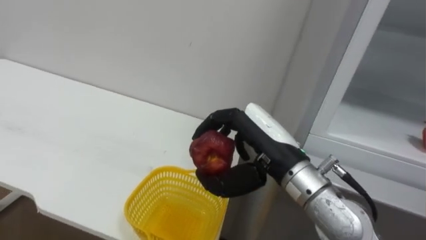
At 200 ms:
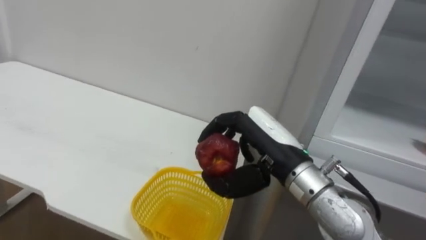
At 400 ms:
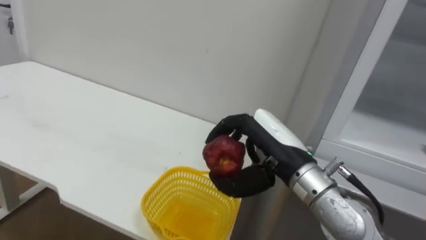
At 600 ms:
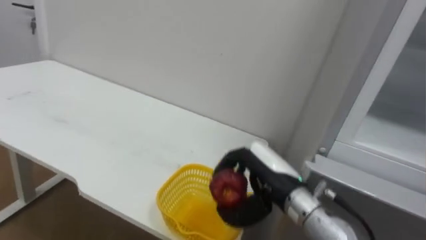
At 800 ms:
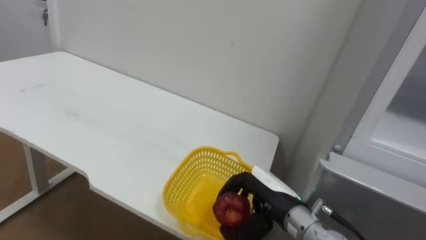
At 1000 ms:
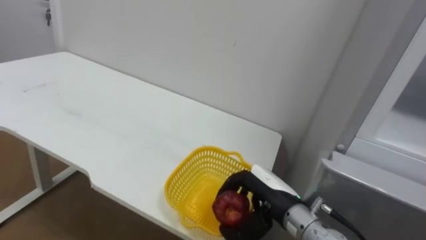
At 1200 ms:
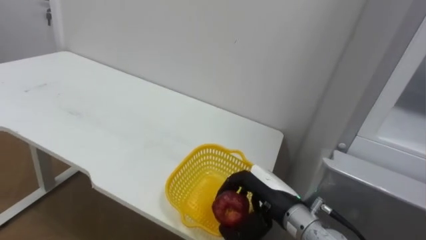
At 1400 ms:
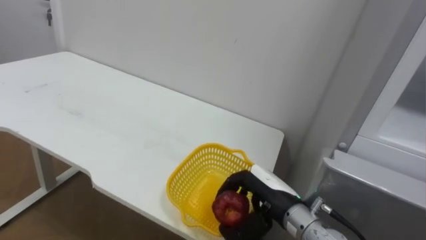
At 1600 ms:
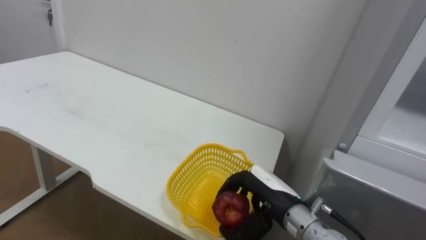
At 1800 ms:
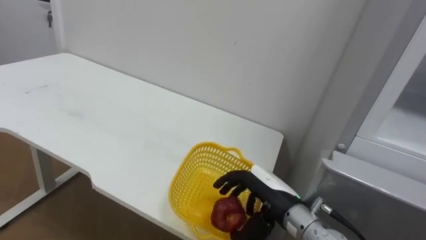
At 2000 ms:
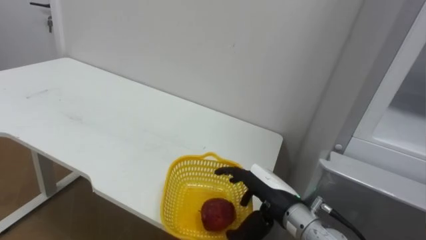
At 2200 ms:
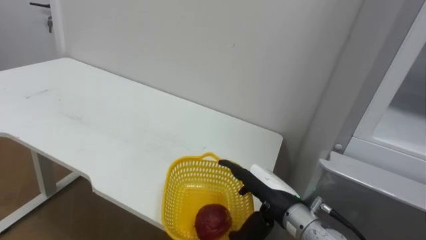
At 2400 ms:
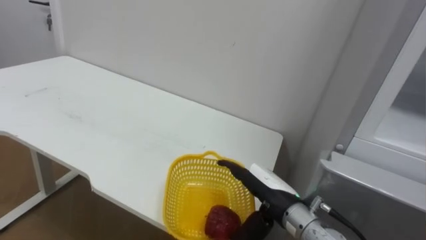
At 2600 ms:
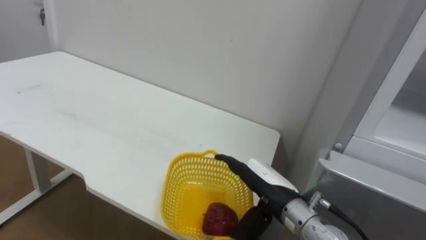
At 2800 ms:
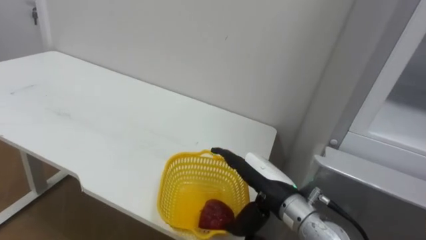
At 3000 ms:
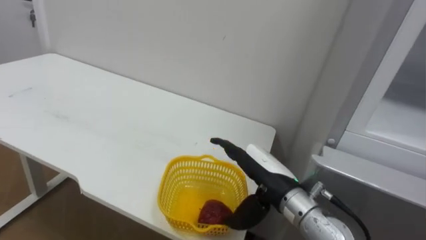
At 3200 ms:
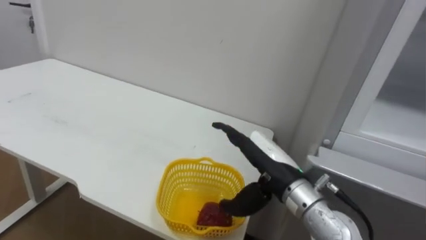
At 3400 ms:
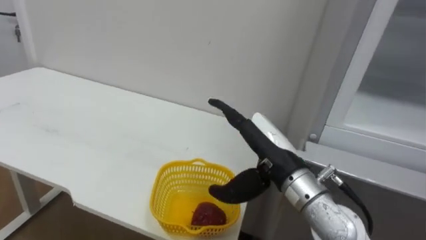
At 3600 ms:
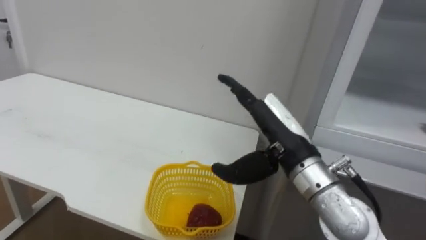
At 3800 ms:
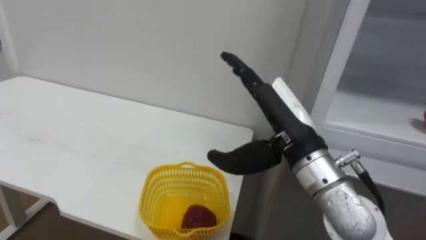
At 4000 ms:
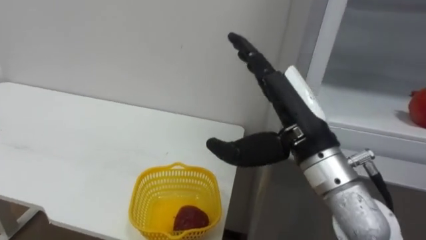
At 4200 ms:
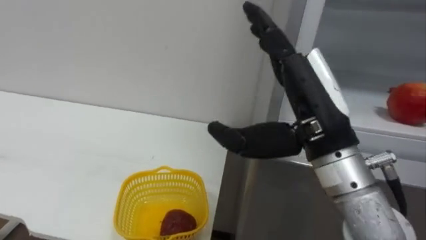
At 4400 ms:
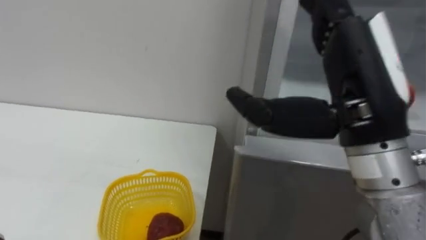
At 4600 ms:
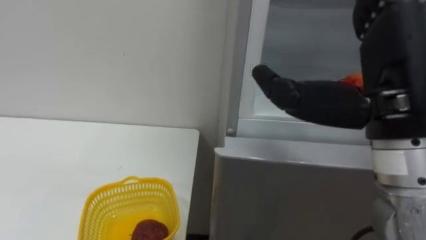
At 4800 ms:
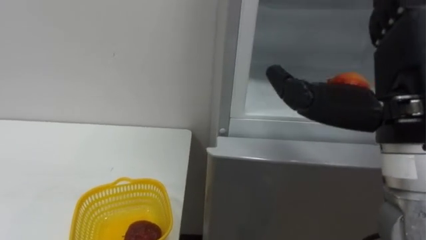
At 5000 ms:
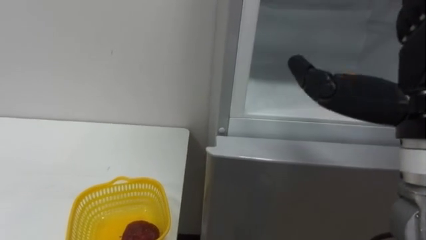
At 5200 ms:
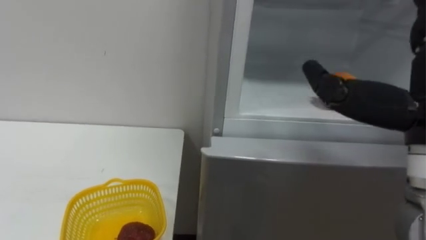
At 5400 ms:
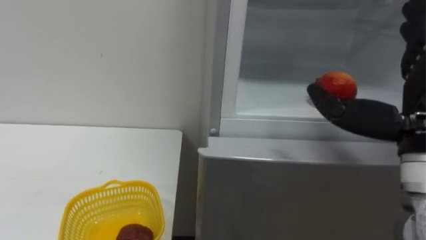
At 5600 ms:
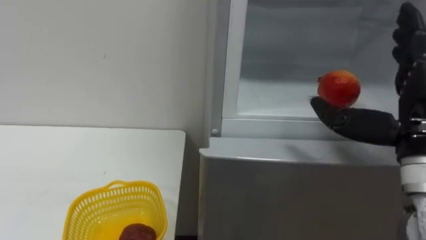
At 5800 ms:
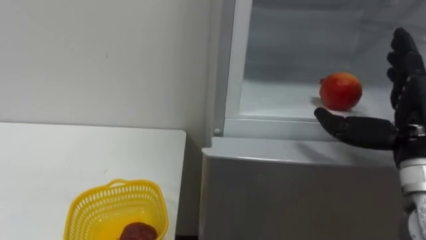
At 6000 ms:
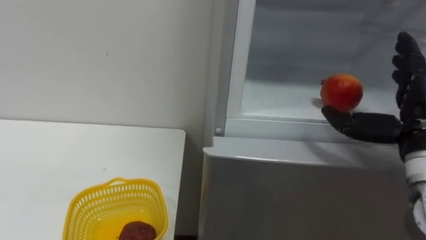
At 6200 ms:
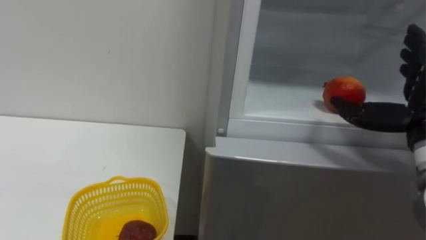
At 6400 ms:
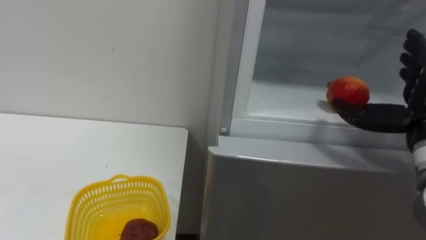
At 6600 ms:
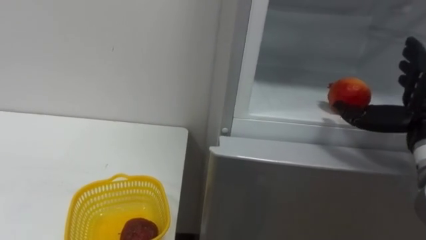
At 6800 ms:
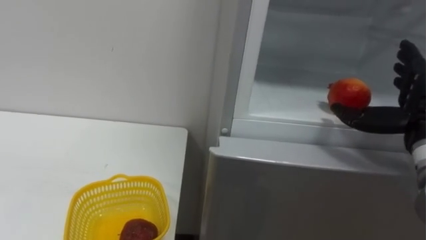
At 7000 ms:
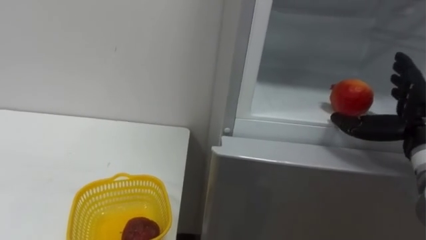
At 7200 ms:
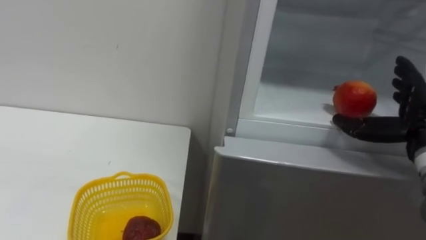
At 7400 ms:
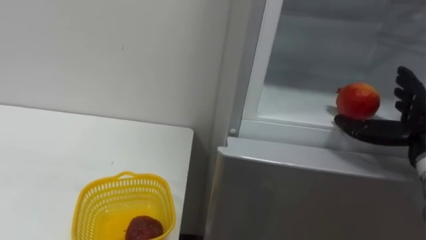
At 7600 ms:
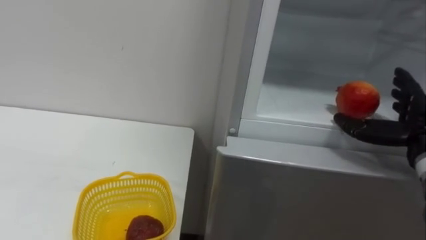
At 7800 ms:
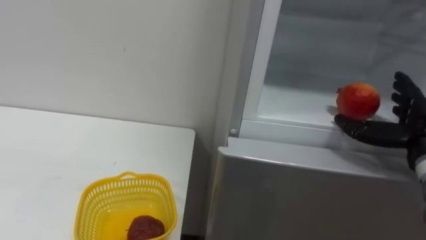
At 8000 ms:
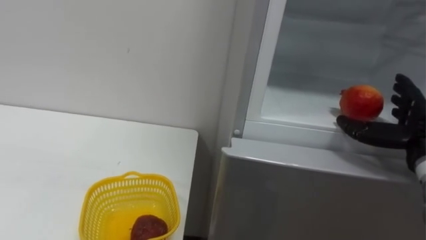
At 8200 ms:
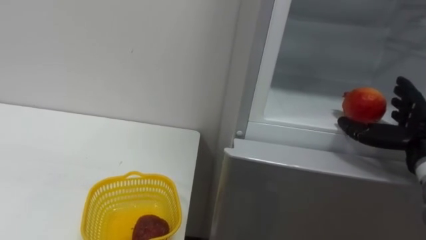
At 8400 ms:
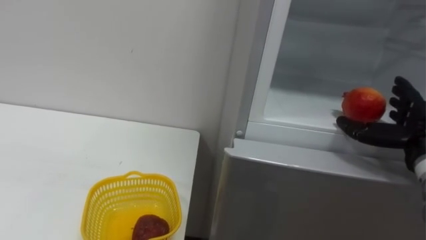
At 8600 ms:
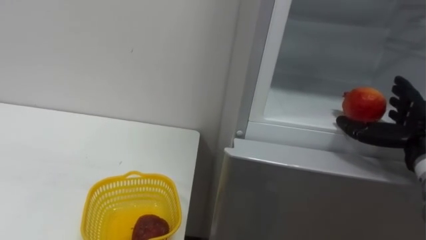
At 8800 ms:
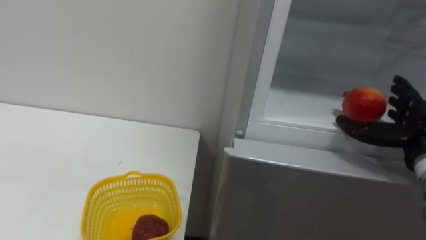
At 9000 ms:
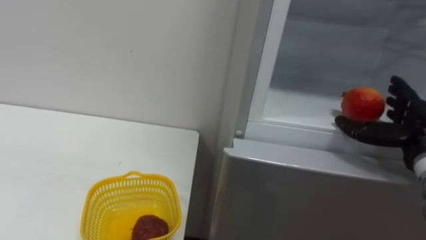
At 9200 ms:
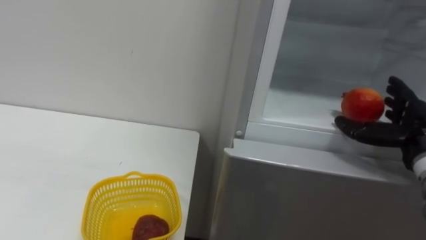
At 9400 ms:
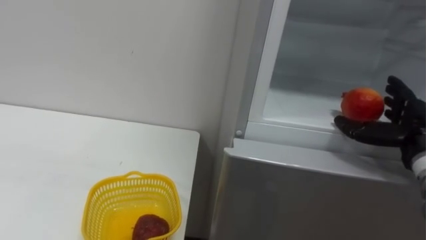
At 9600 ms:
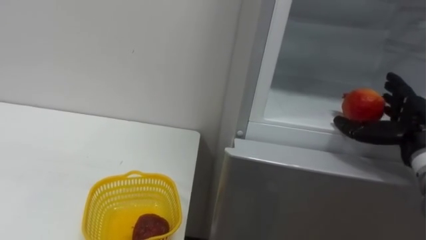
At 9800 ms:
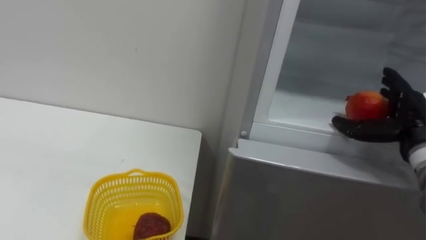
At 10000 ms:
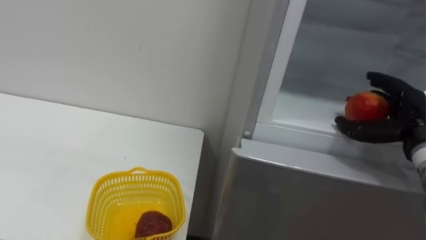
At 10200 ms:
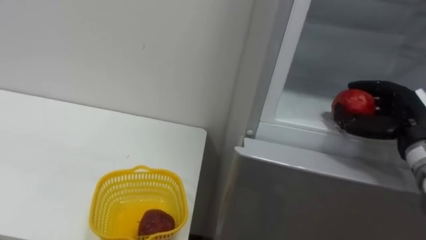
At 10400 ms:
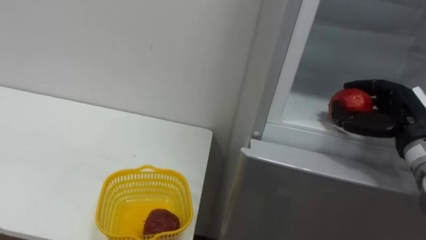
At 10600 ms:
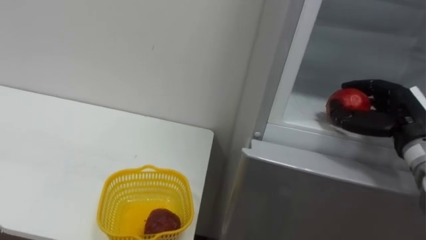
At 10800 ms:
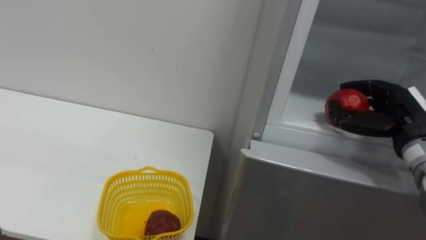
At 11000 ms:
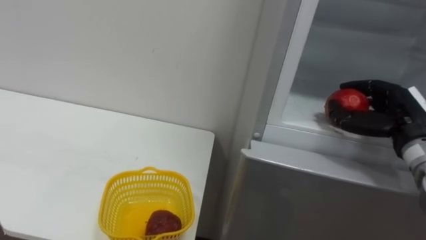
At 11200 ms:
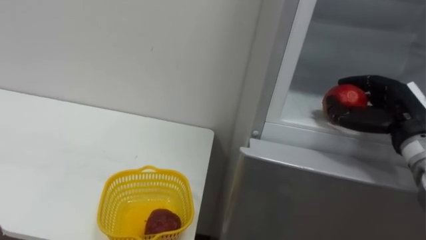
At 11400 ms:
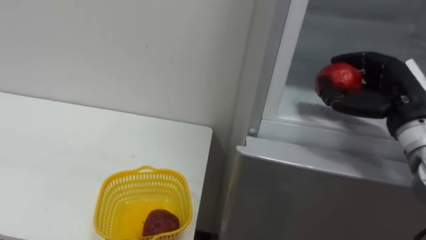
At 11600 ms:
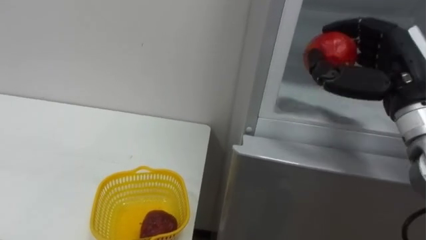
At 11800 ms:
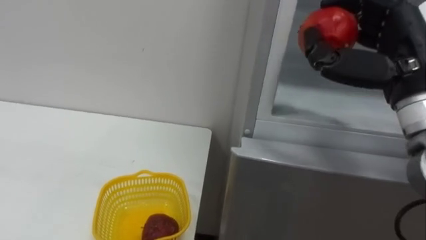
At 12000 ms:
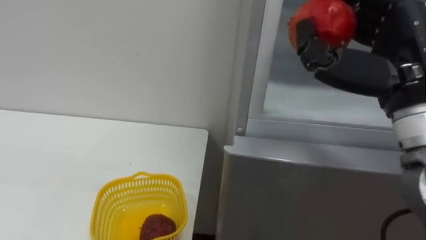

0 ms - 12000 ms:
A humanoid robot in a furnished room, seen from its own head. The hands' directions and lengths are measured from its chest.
Task of the whole recording: Open the refrigerator door, take out the apple and the pomegranate, place them in the fruit basket on the left, and close the refrigerator door.
0 ms - 1600 ms: The right hand goes approximately 15 cm downward.
1600 ms - 3000 ms: The right hand opens its fingers.
3000 ms - 4400 ms: The right hand moves upward and backward, about 20 cm.
4400 ms - 6000 ms: The right hand goes roughly 20 cm to the right, downward and forward.
6000 ms - 7600 ms: The right hand moves roughly 5 cm.
9000 ms - 10400 ms: The right hand closes.
10400 ms - 12000 ms: The right hand goes about 20 cm upward, to the left and backward.

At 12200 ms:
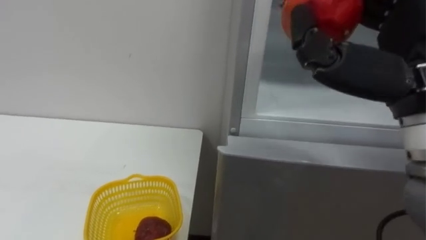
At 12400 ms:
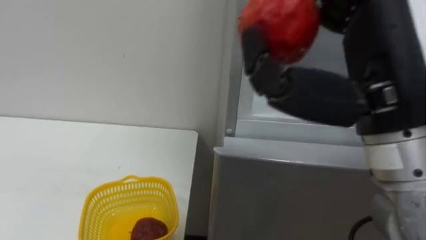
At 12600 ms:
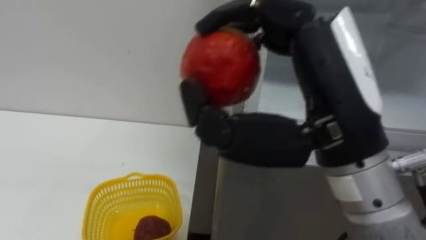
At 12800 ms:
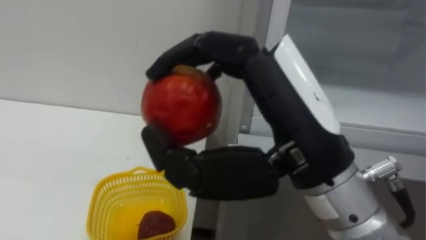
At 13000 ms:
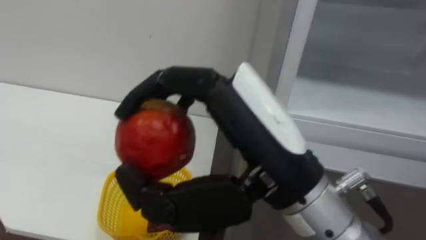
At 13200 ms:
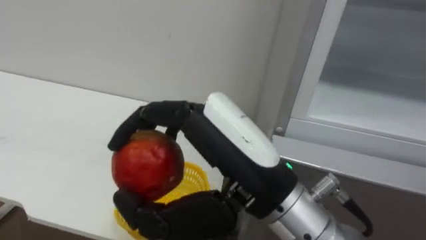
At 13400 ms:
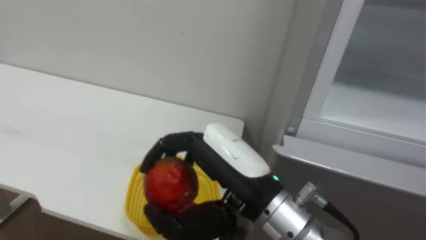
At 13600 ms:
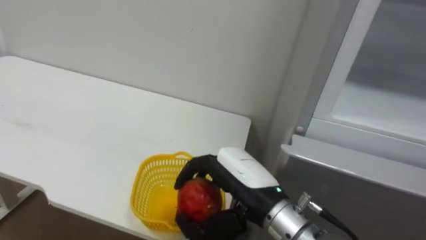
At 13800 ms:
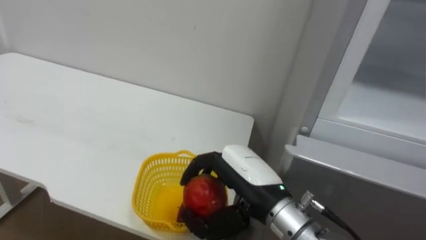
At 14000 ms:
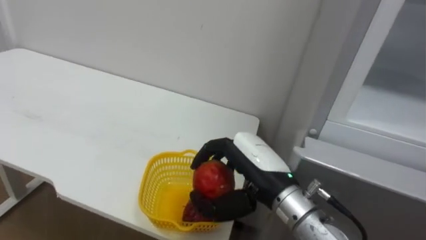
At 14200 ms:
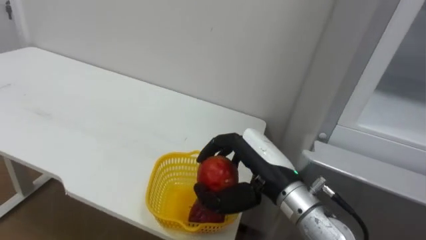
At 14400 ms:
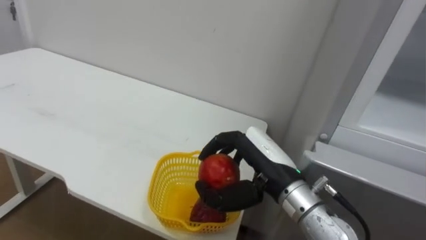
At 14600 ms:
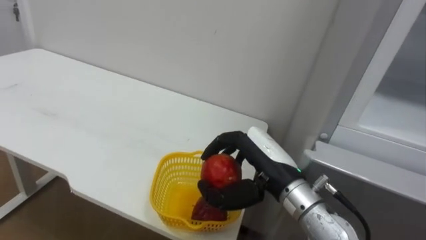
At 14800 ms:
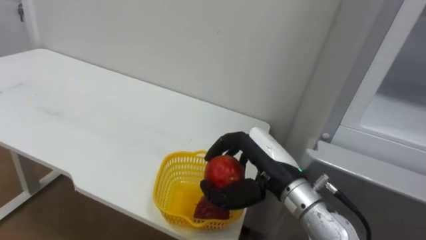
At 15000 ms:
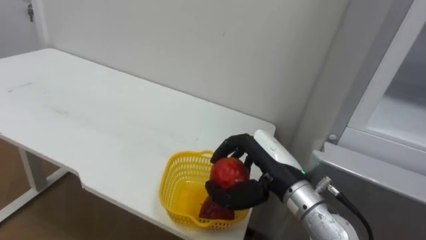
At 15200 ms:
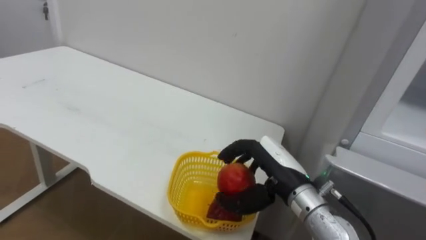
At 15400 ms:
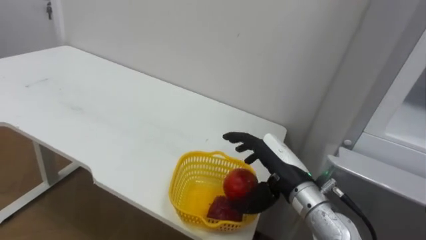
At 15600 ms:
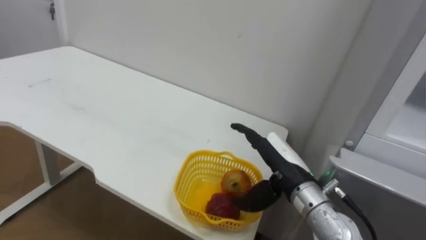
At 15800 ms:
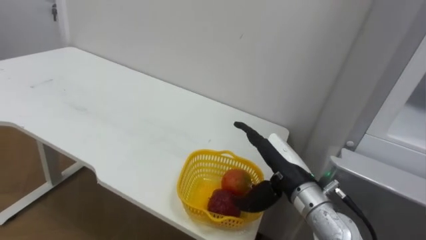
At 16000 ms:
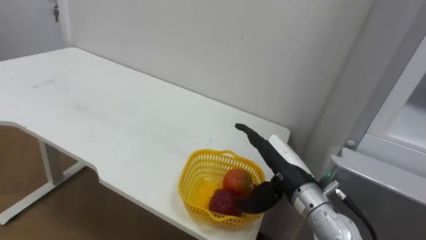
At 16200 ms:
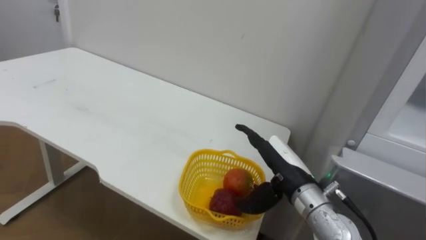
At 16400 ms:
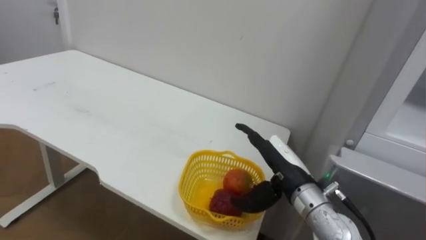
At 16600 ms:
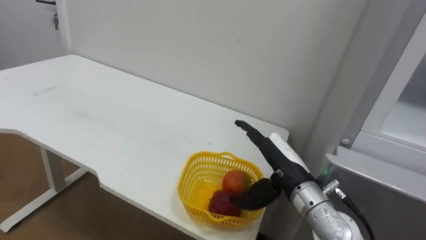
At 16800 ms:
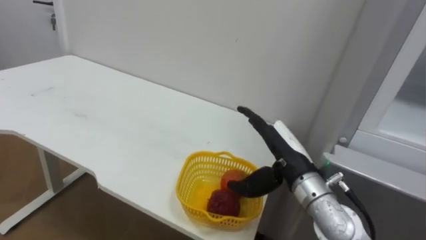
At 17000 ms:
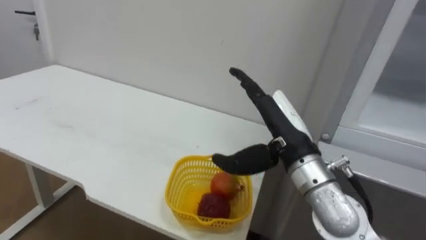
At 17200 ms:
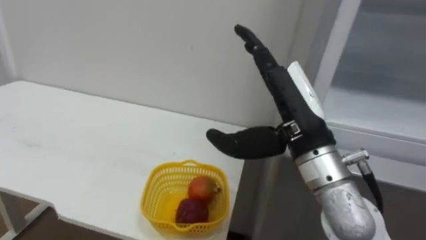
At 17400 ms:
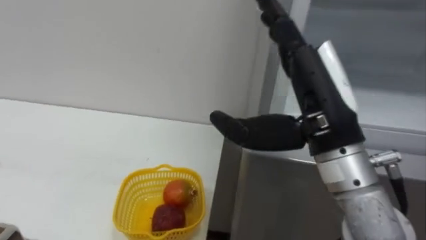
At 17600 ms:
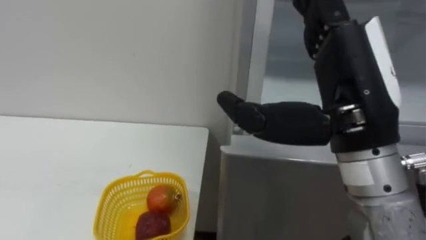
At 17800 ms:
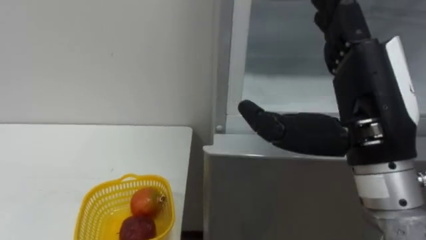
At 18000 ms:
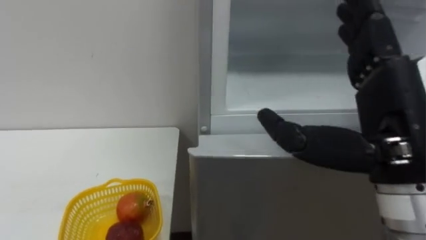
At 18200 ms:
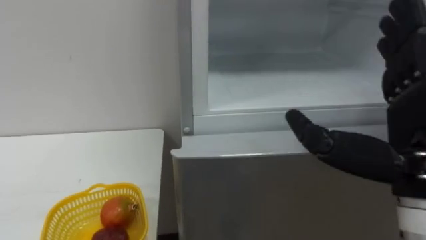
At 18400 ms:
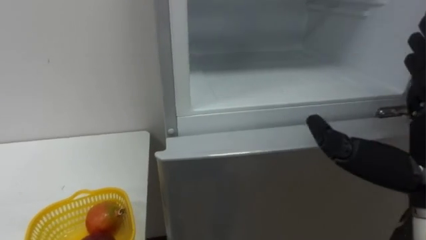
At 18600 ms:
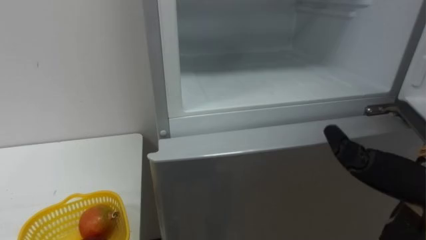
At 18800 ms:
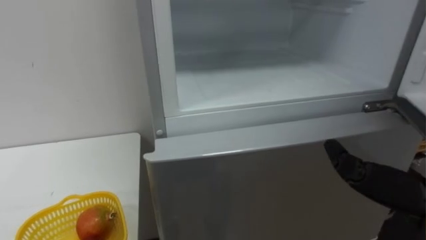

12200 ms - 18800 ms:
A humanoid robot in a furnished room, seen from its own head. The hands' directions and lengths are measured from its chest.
Task of the whole recording: Open the refrigerator door, take out the apple and the pomegranate, place them in the fruit basket on the left, and close the refrigerator door.
12200 ms - 13800 ms: The right hand is displaced downward and to the left by some 25 cm.
13800 ms - 15400 ms: The right hand is displaced to the right and forward by approximately 10 cm.
15400 ms - 17200 ms: The right hand goes some 15 cm upward.
